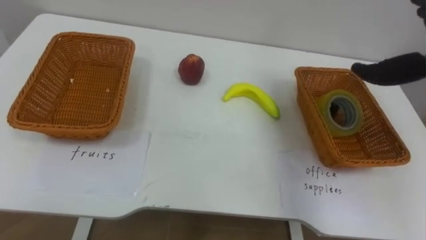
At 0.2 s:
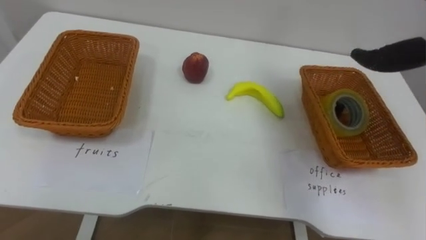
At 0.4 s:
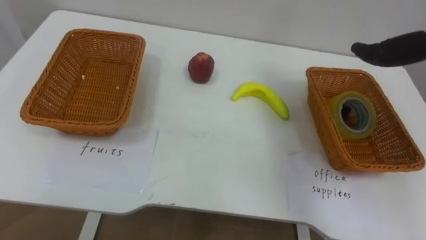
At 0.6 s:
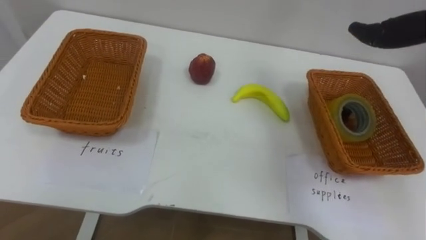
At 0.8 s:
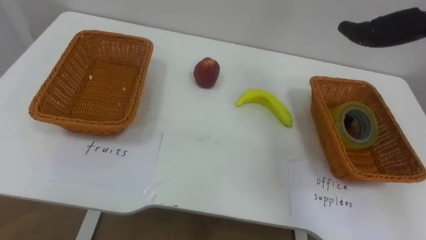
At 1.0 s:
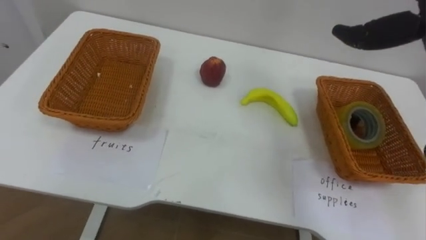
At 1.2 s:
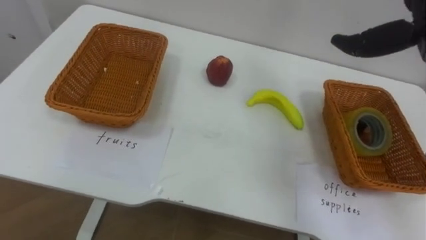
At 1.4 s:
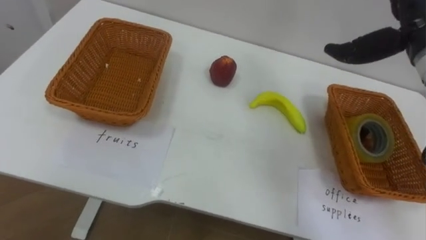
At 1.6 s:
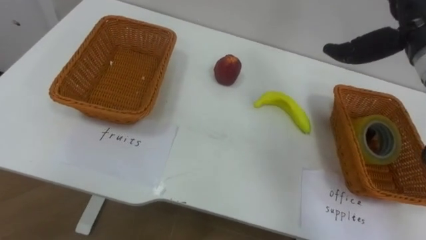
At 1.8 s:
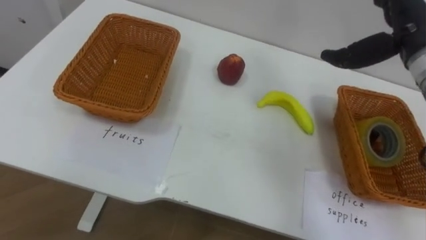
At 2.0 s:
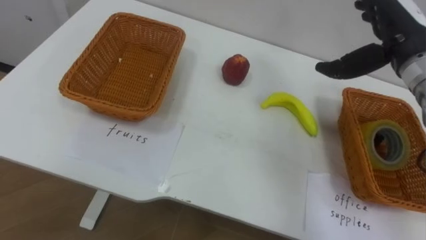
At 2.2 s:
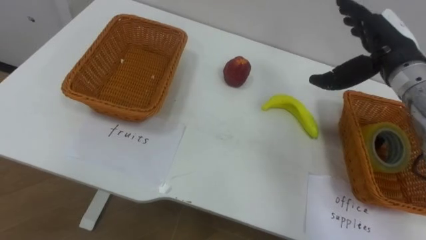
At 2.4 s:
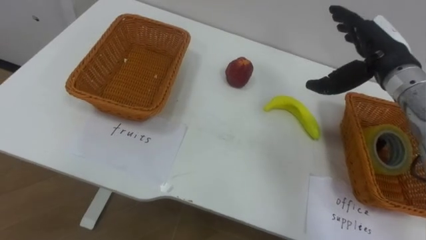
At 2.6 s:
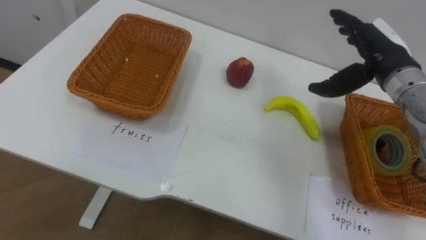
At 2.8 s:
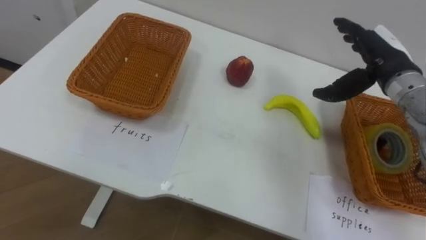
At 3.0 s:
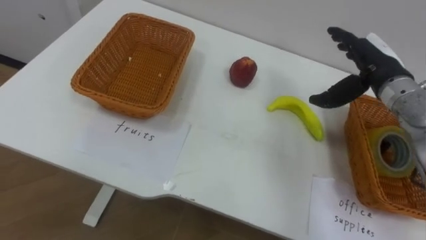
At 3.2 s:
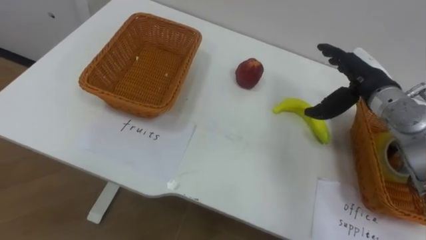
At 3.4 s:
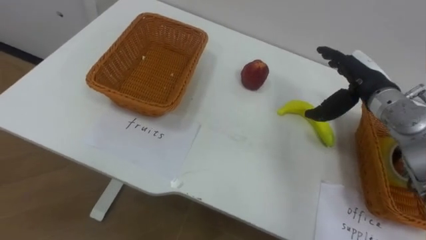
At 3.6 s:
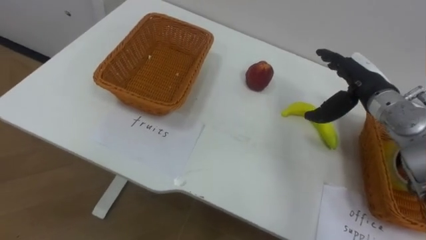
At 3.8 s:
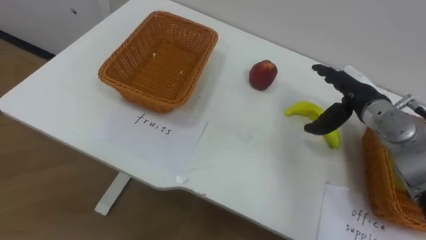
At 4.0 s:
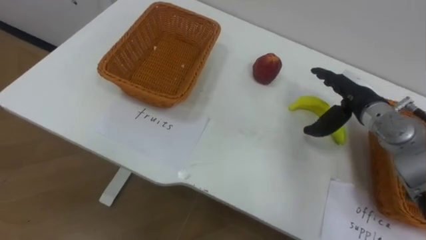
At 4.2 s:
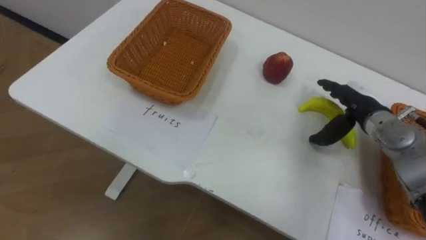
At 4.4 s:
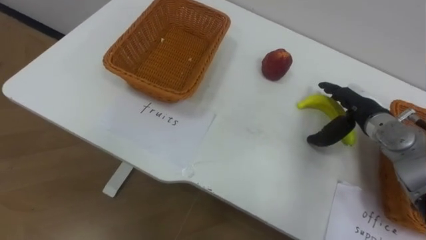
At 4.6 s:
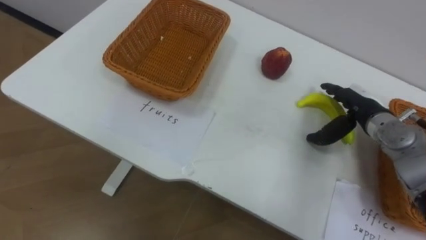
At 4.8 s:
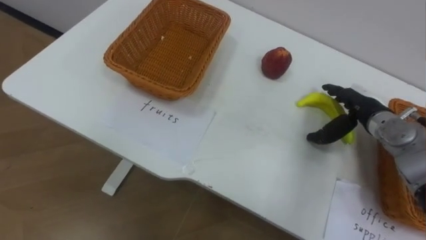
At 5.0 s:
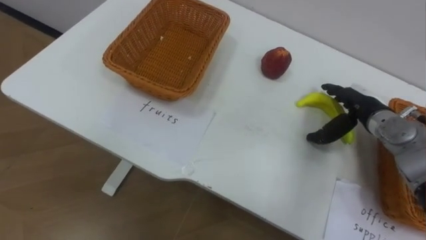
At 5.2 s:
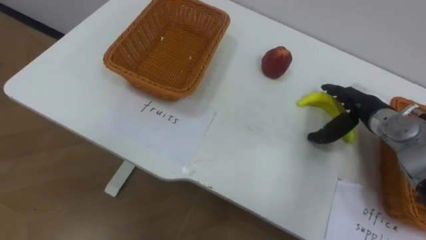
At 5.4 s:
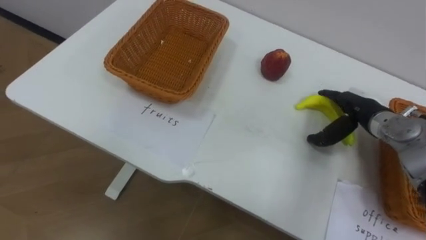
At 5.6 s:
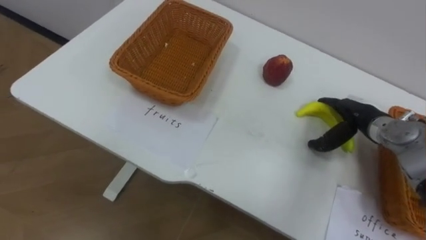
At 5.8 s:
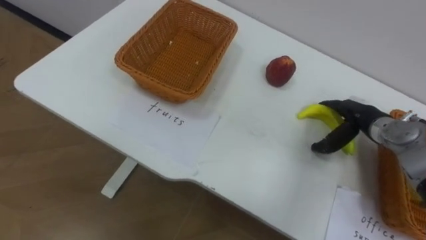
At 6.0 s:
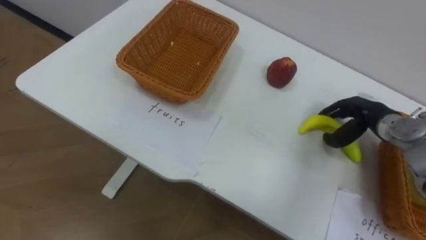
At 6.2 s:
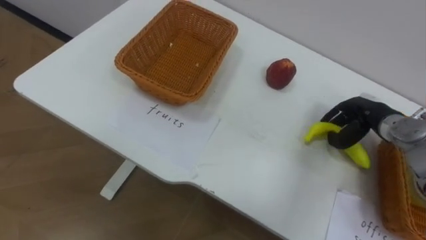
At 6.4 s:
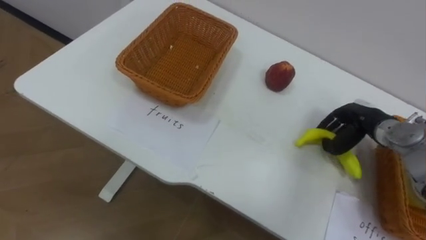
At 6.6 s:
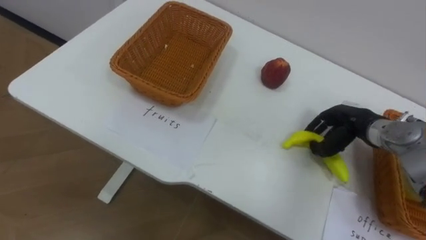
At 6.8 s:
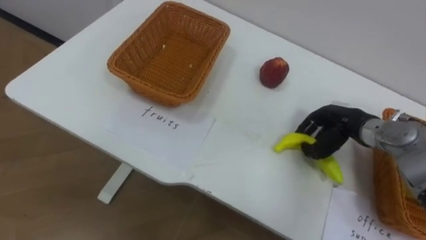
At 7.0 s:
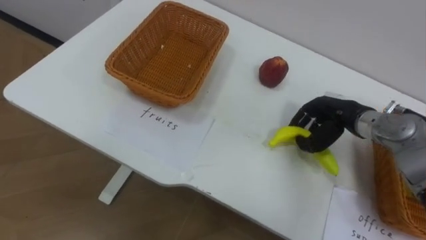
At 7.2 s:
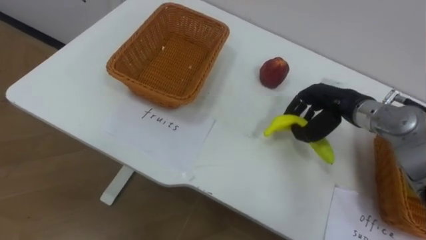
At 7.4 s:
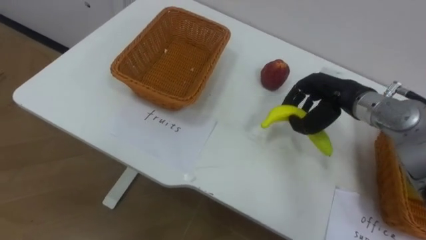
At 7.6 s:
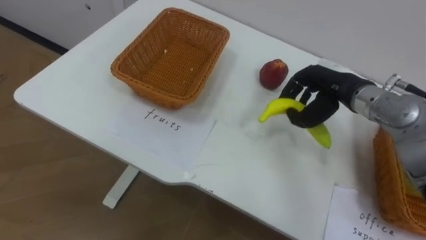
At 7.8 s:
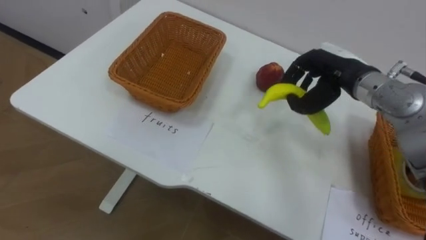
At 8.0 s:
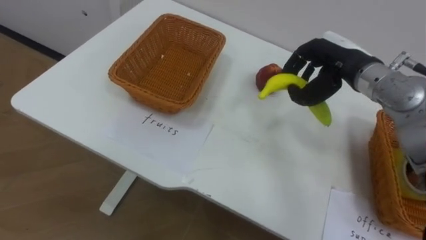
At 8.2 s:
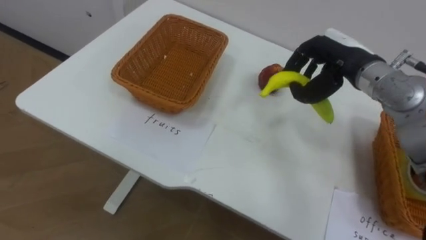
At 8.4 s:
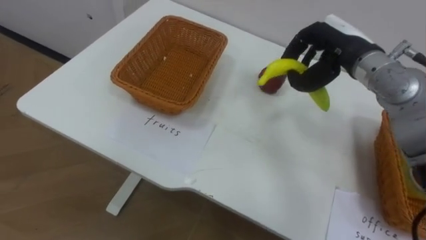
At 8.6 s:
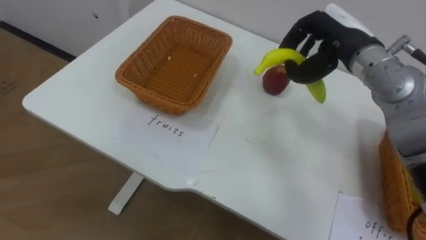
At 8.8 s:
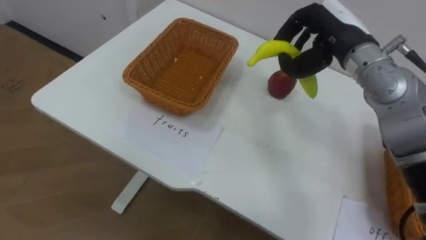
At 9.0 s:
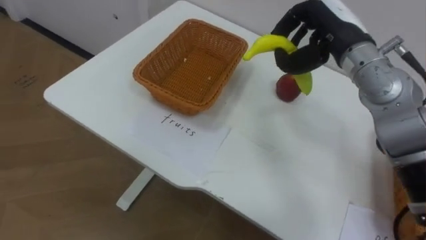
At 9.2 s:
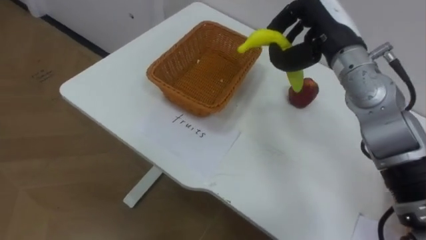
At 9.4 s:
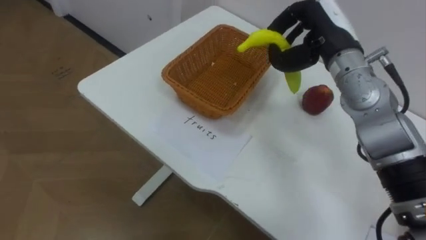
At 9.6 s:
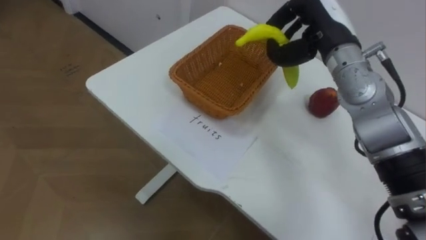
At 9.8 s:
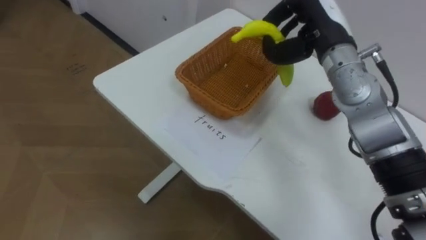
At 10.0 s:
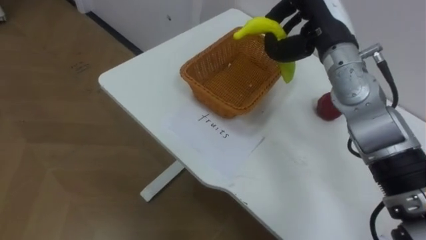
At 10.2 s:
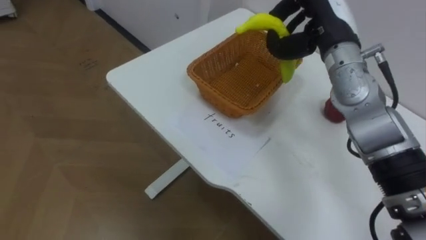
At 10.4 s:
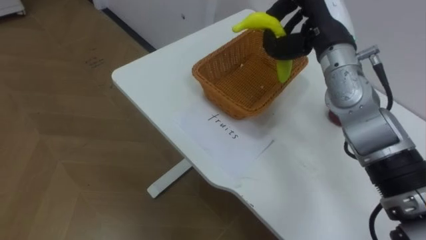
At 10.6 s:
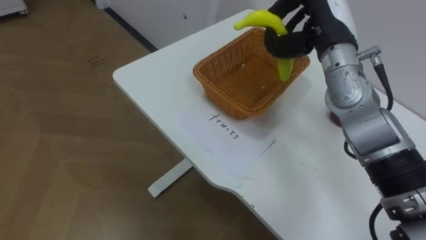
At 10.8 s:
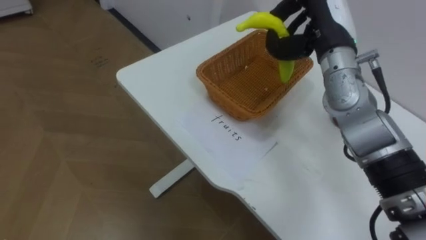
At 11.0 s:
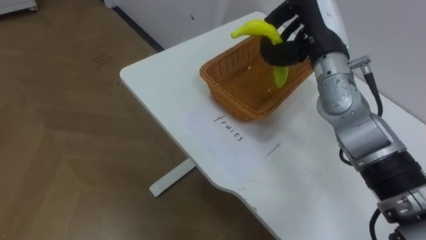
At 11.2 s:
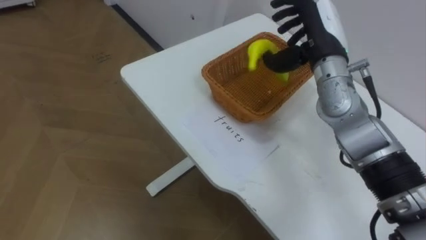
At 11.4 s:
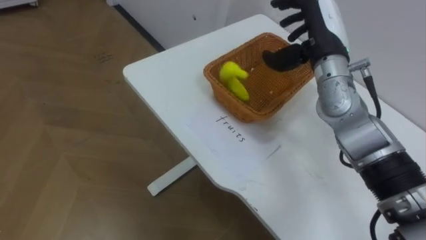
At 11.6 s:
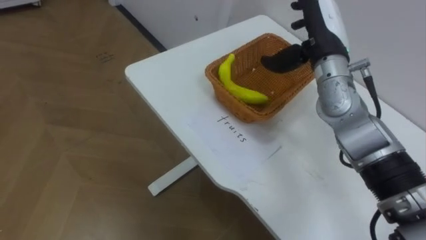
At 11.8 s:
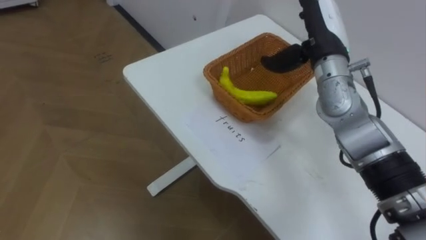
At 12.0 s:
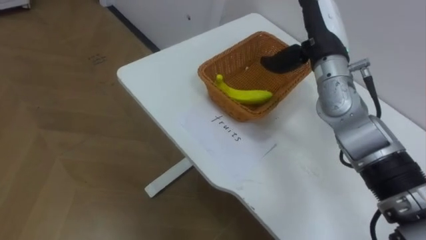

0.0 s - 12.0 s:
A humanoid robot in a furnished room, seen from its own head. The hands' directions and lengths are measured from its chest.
Task of the whole recording: Separate the items on the table and place them into the two baskets.
1.6 s - 3.0 s: The right hand heads downward, covering about 10 cm.
3.0 s - 4.4 s: The right hand goes approximately 10 cm downward.
6.0 s - 7.6 s: The right hand shifts roughly 10 cm upward and to the left, and closes up.
7.6 s - 9.0 s: The right hand is displaced upward by roughly 10 cm.
10.4 s - 12.0 s: The right hand opens its fingers.

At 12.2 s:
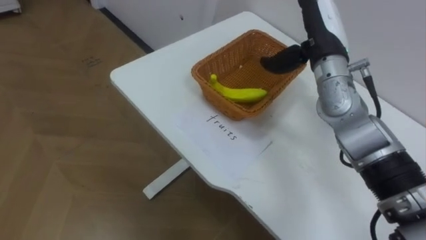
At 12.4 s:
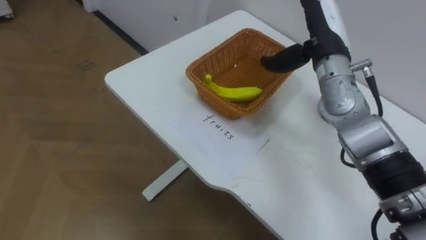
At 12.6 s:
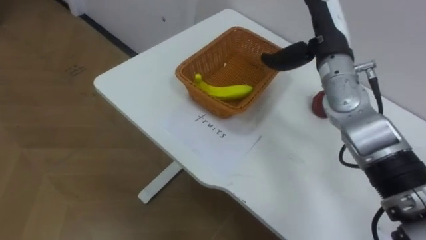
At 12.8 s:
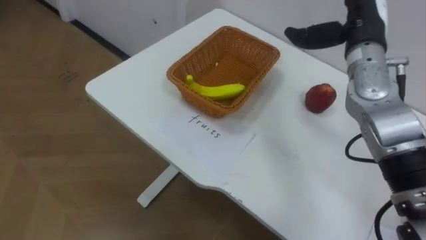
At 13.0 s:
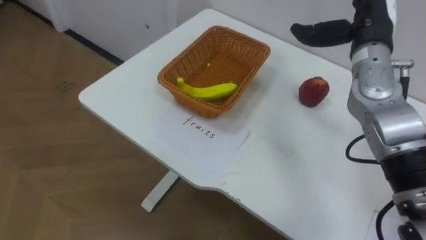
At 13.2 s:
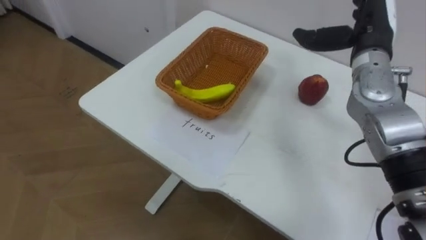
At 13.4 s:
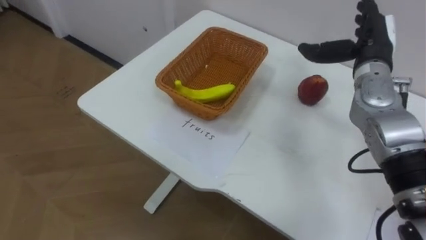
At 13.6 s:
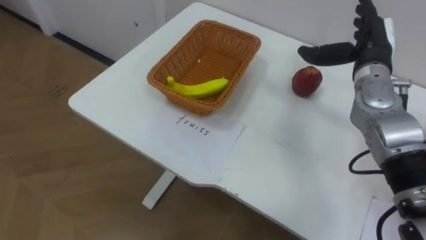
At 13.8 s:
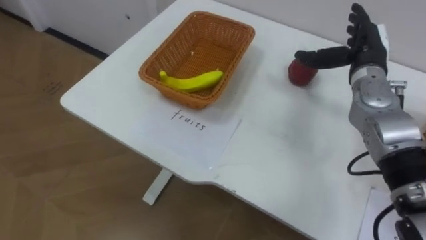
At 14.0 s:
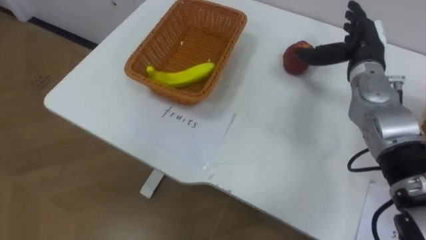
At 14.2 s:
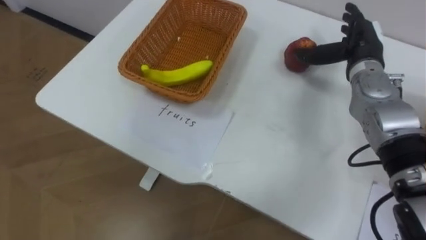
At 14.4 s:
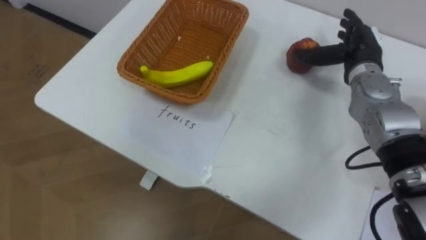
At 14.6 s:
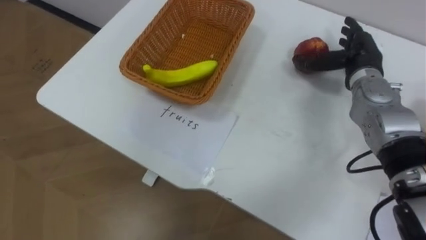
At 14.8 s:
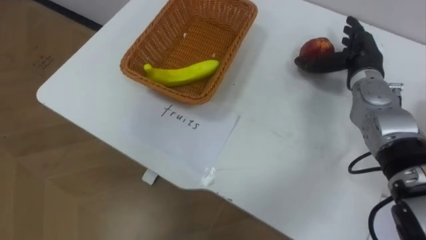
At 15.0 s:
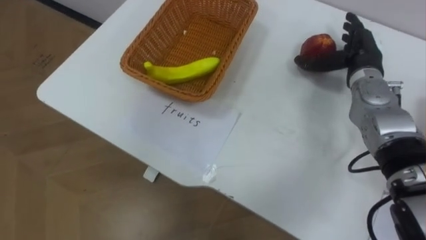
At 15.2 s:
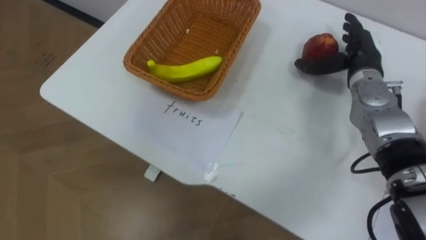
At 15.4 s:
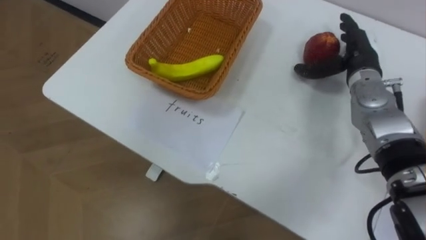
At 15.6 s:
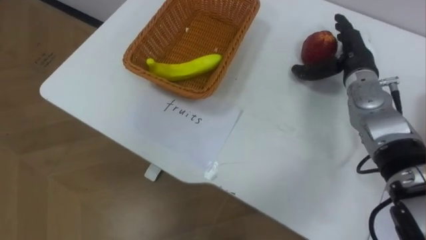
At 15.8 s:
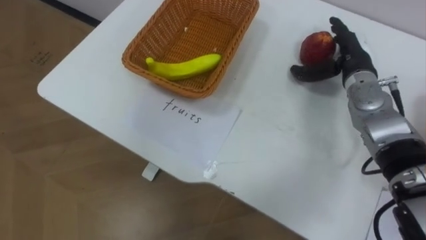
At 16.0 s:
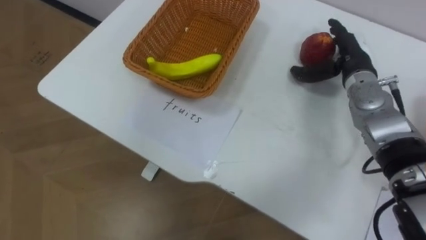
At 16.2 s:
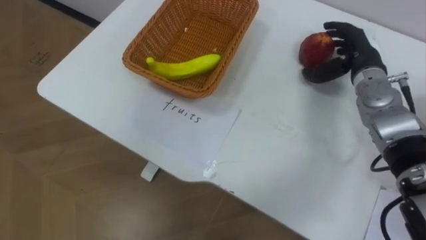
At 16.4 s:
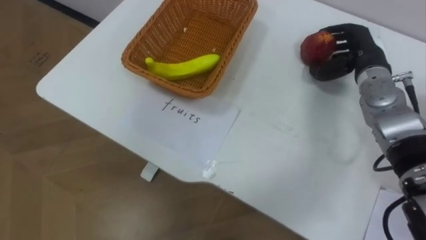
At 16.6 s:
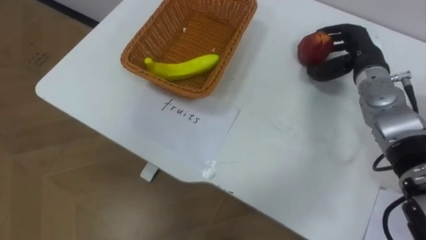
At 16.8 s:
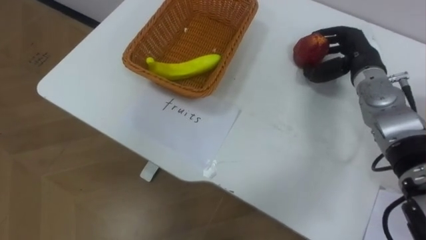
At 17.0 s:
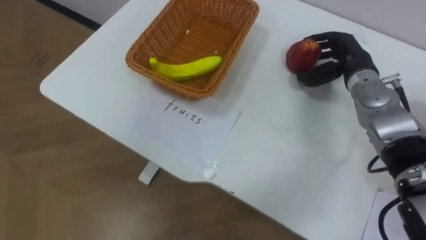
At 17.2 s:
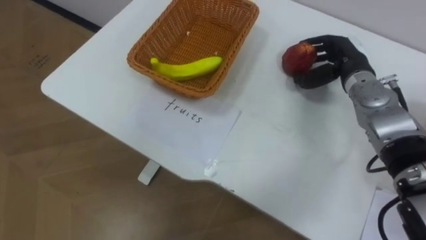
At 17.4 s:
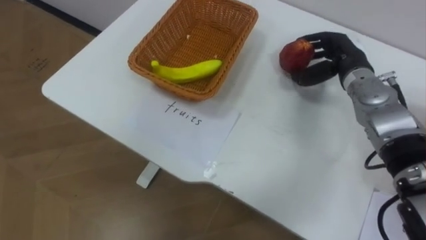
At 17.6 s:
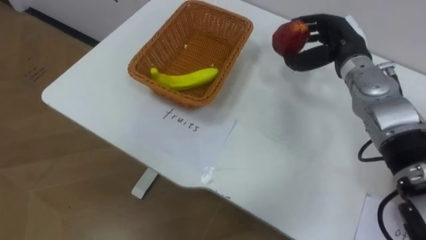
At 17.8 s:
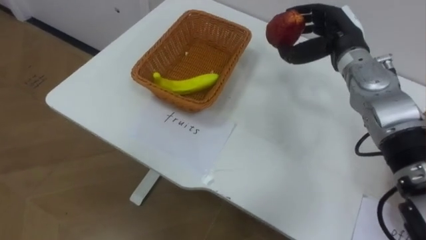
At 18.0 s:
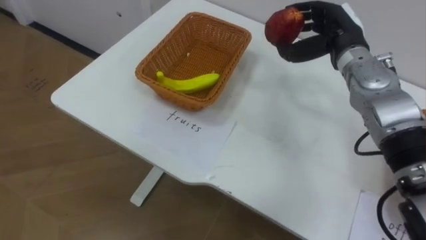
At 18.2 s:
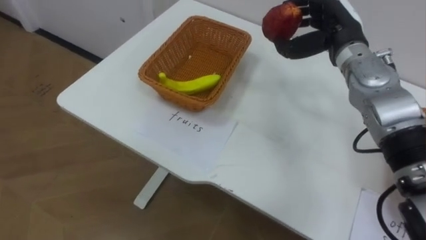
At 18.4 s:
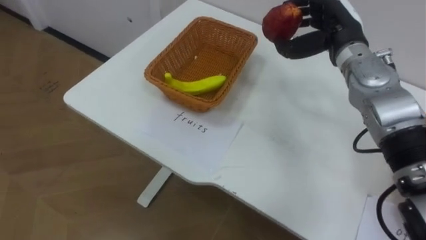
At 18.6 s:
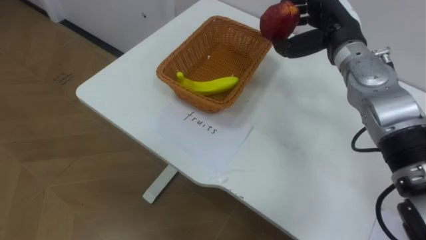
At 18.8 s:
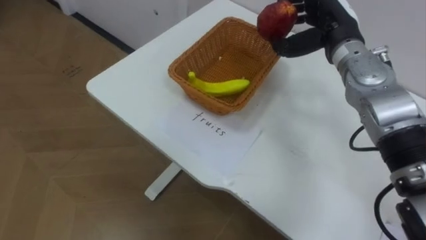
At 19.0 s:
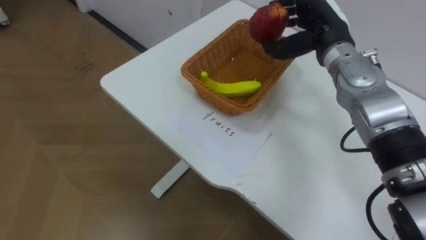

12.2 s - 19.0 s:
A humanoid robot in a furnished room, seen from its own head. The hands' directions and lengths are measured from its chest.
Task of the whole recording: Separate the items on the table and place them into the two baskets.
12.2 s - 13.6 s: The right hand moves to the right, approximately 10 cm.
17.6 s - 19.0 s: The right hand shifts by some 5 cm.
